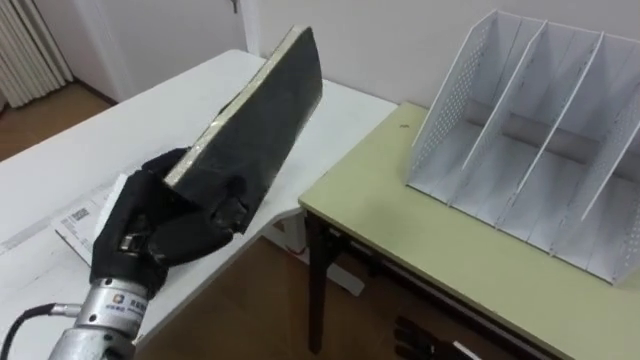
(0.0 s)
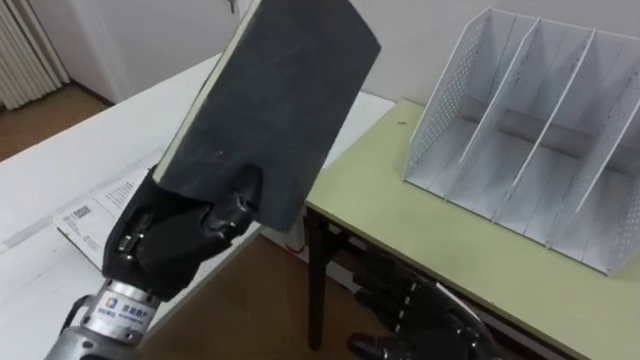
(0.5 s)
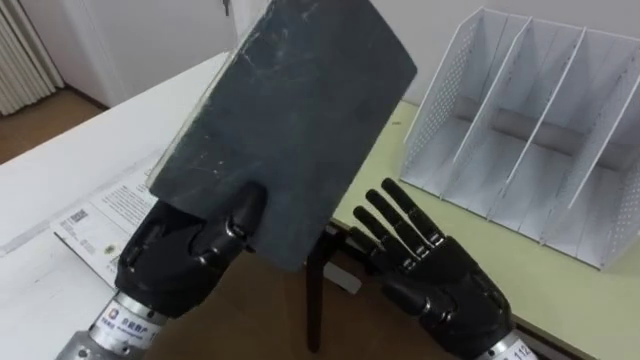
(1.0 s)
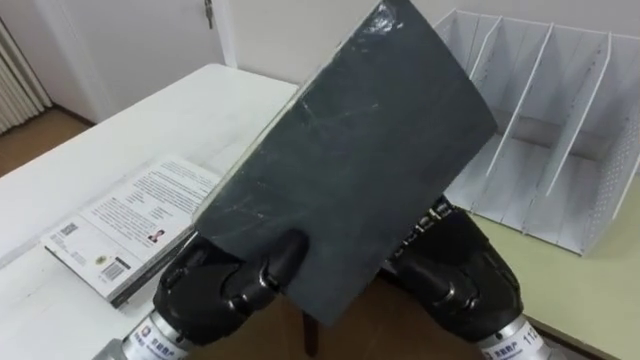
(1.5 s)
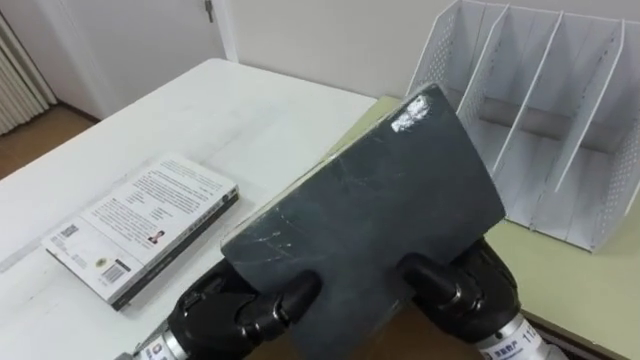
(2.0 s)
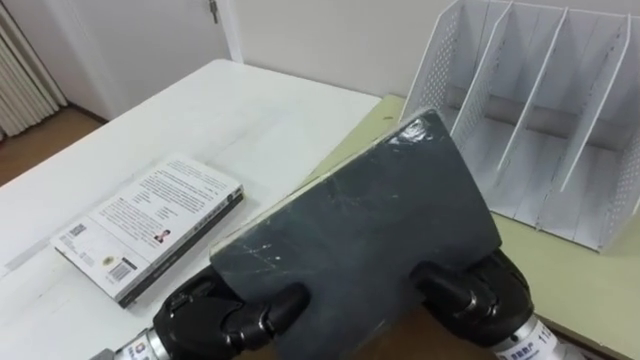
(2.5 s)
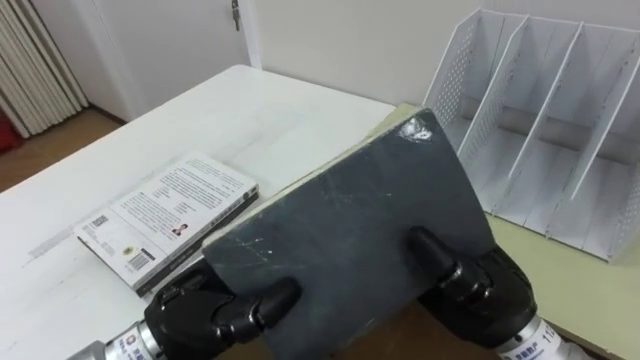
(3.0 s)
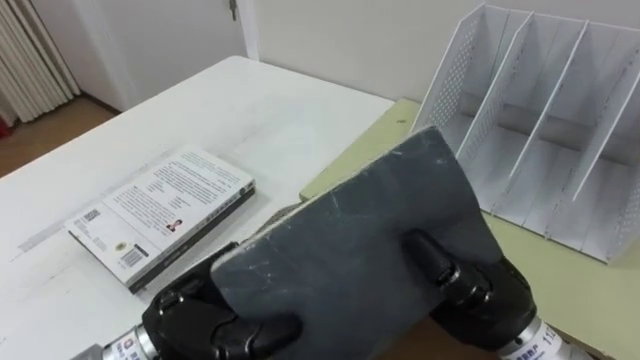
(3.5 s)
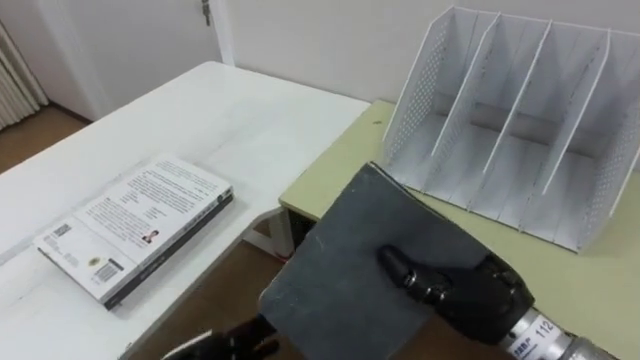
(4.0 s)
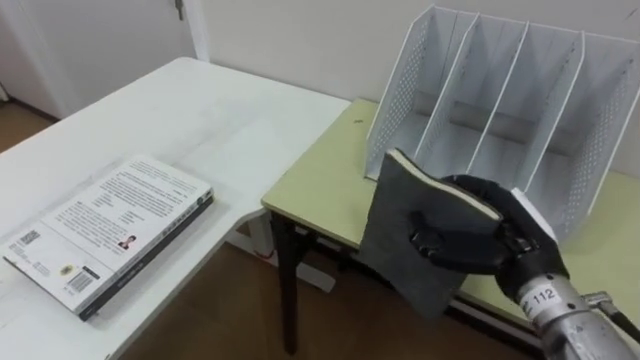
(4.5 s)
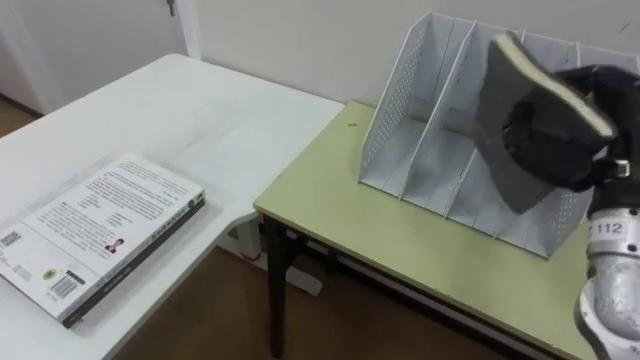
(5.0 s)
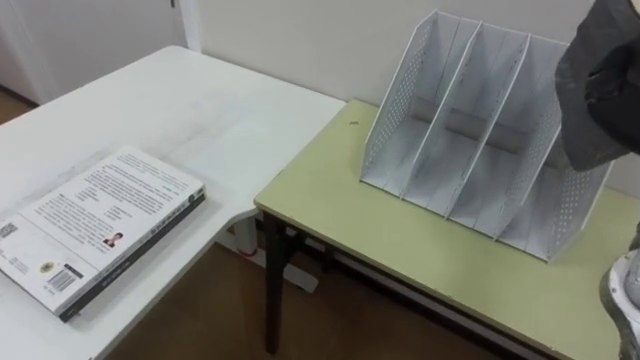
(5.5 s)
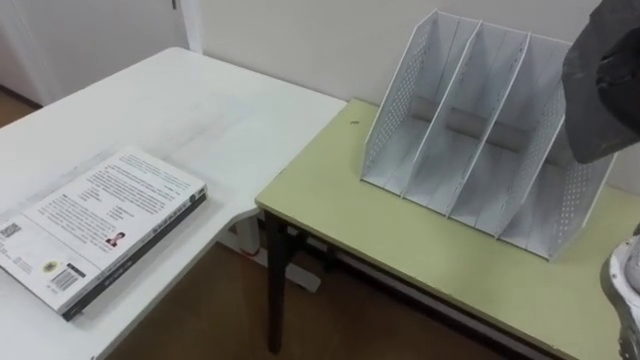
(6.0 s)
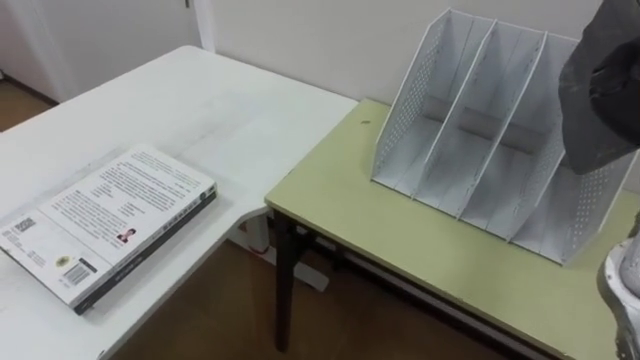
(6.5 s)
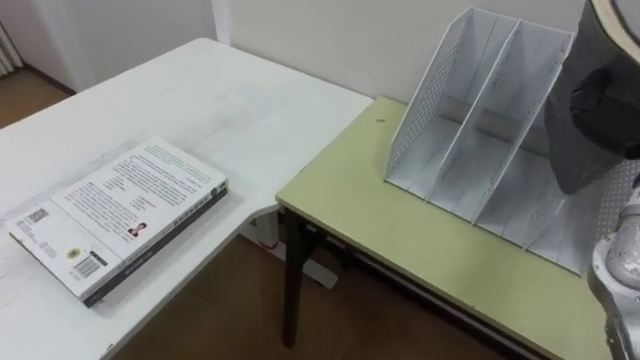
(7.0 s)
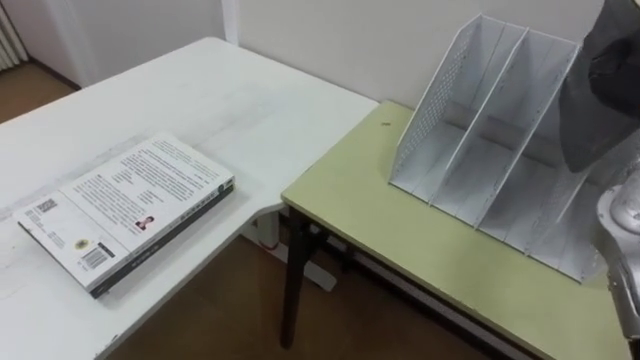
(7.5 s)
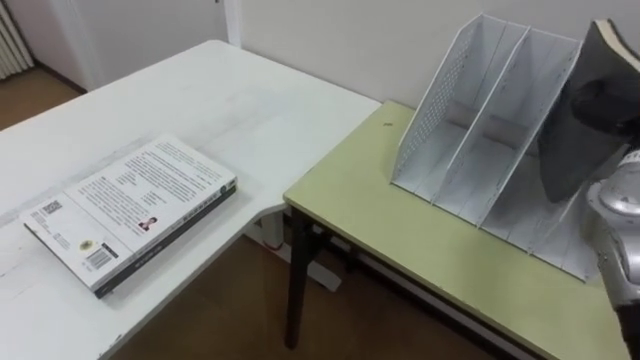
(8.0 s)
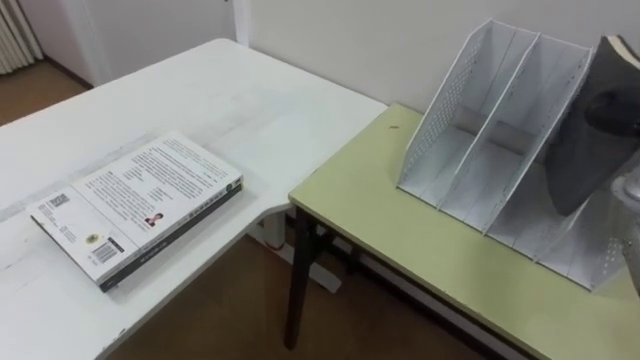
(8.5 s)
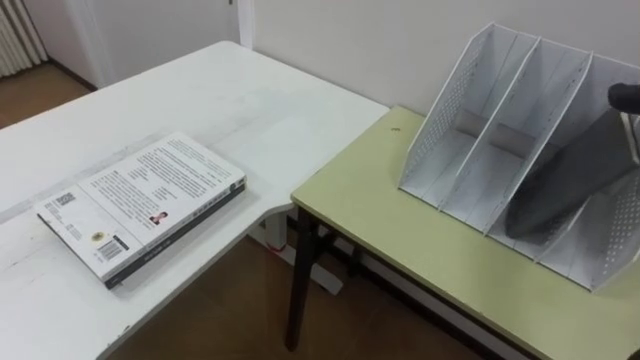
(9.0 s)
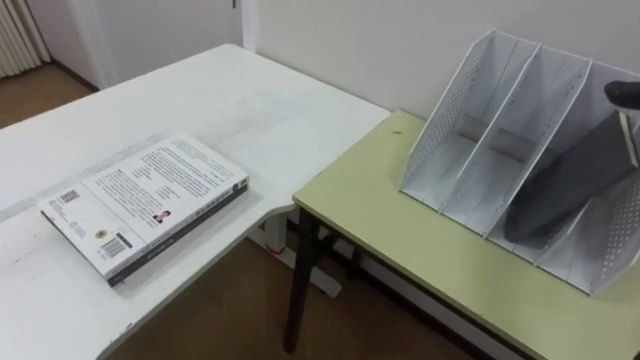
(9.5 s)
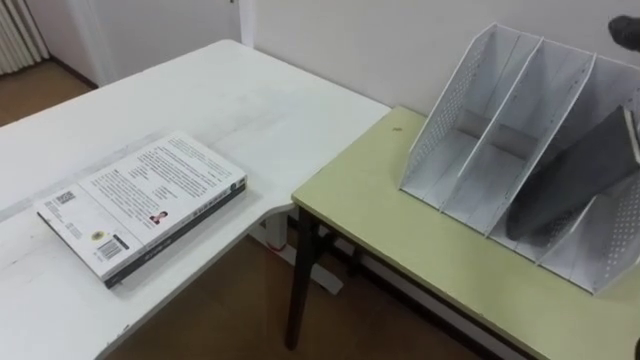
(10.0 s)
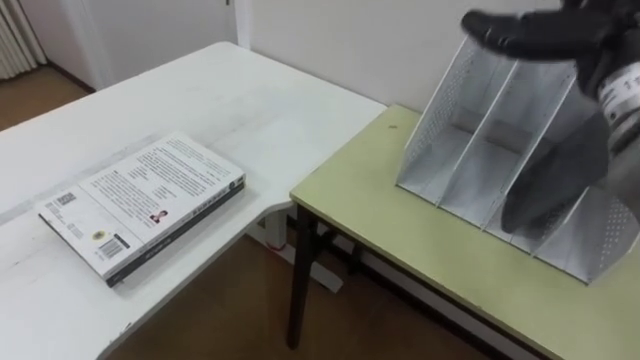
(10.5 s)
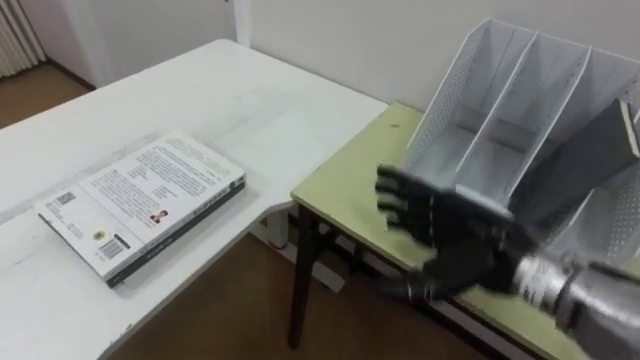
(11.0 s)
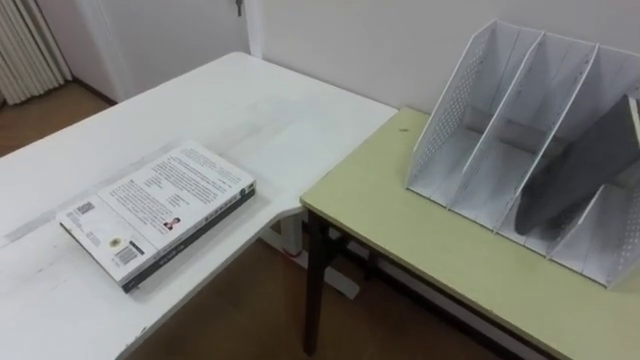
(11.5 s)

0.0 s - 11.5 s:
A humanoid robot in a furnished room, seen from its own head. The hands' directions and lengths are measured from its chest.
Task of the whole recording: Put the books on the table onto the bookshelf.
0.0 s - 2.0 s: The left hand goes some 10 cm to the right.
2.0 s - 4.0 s: The right hand closes up.

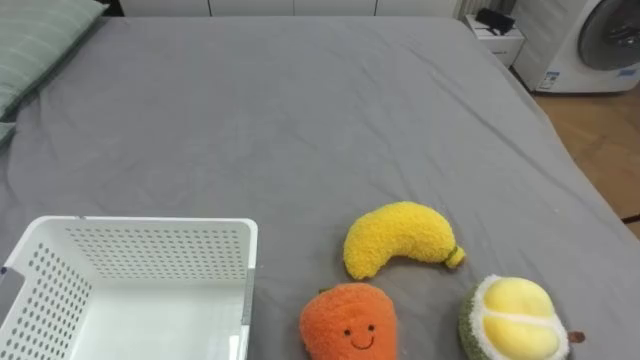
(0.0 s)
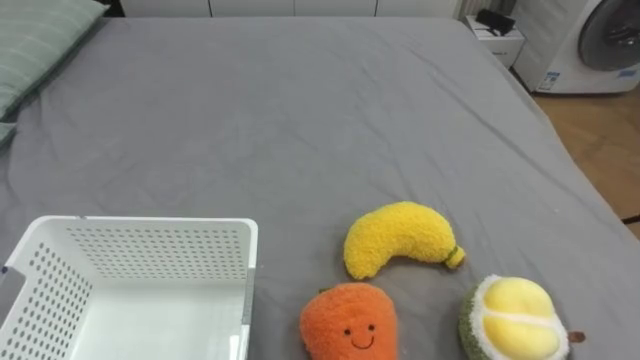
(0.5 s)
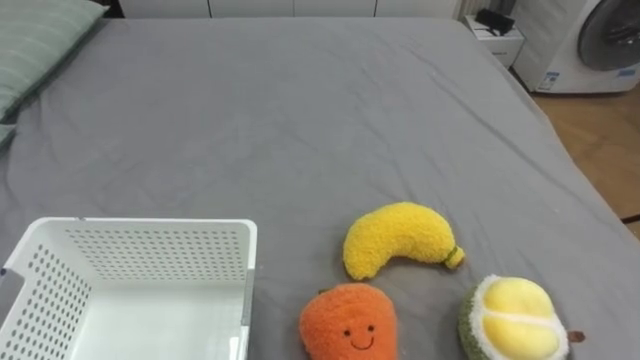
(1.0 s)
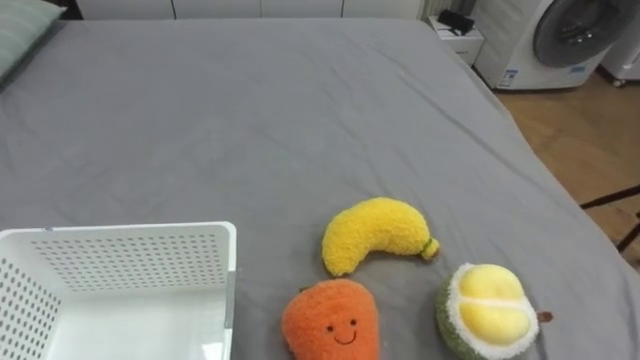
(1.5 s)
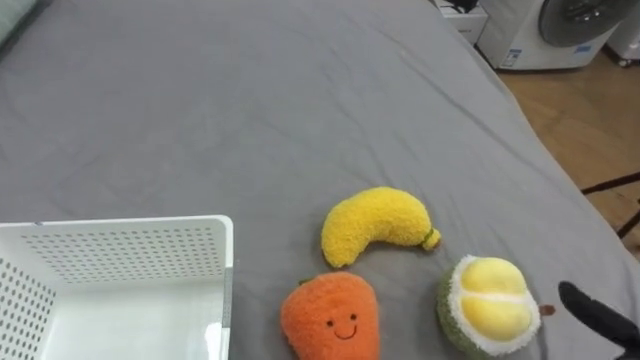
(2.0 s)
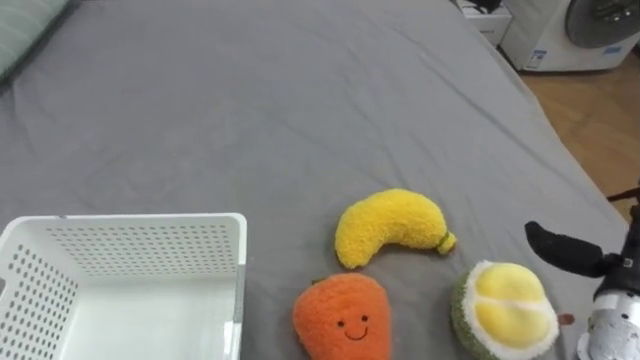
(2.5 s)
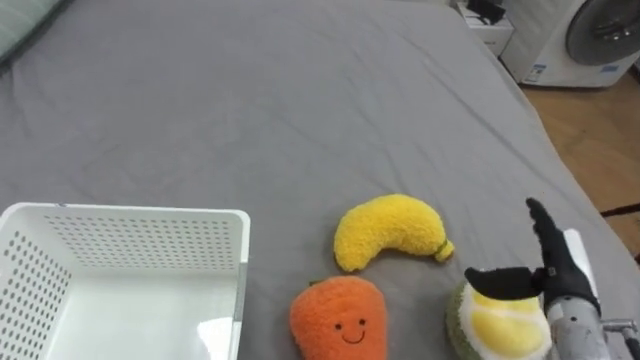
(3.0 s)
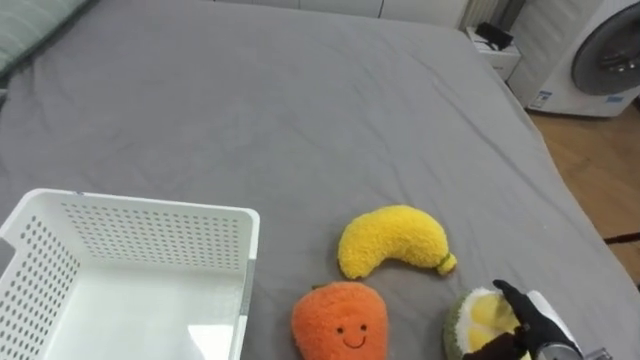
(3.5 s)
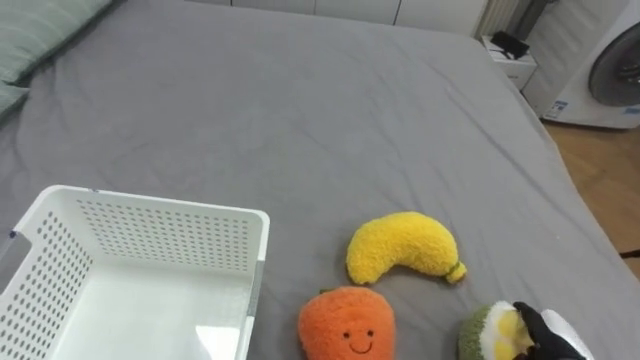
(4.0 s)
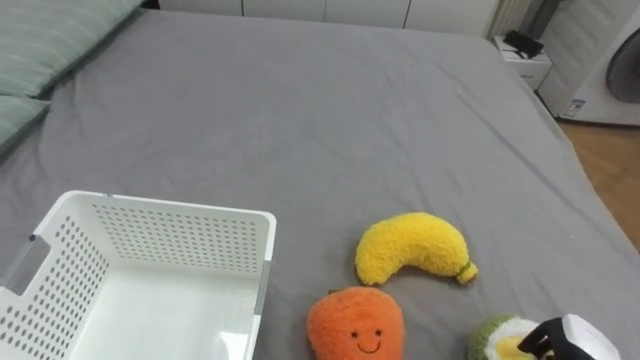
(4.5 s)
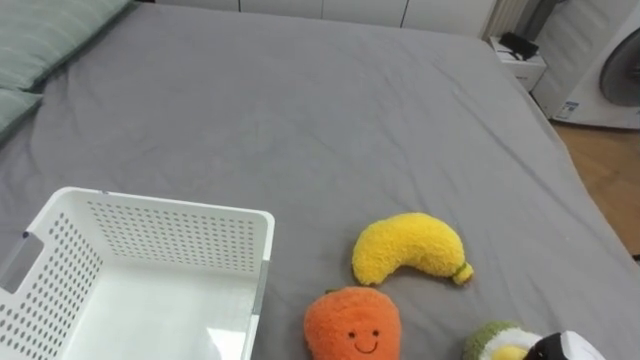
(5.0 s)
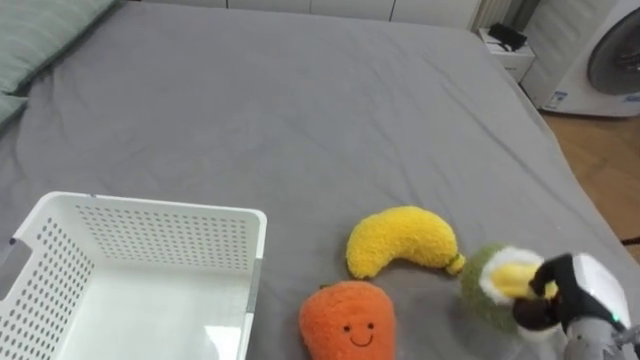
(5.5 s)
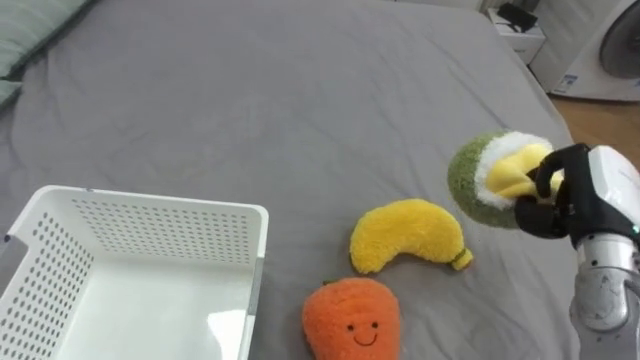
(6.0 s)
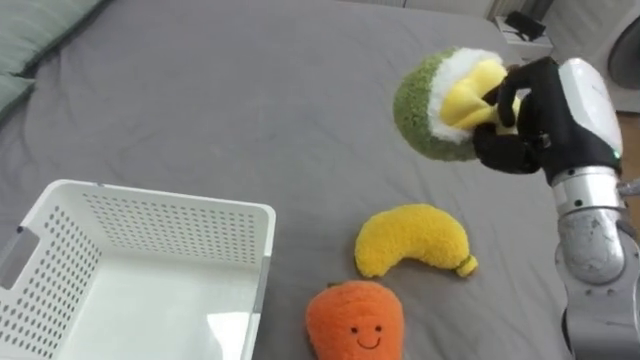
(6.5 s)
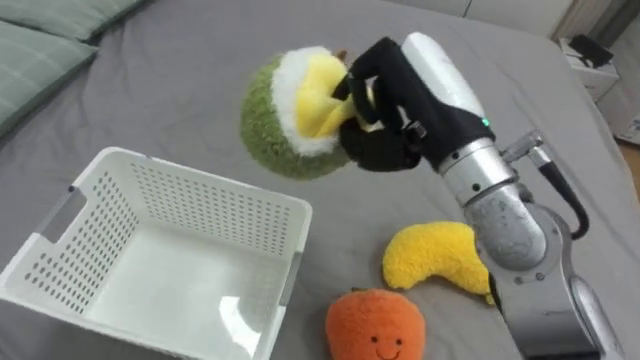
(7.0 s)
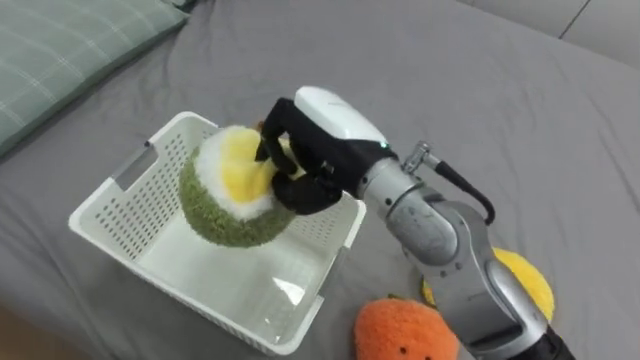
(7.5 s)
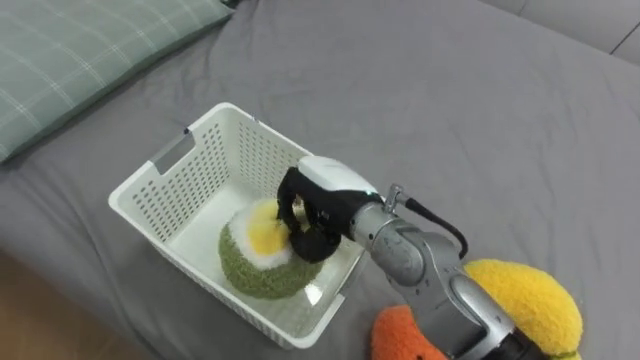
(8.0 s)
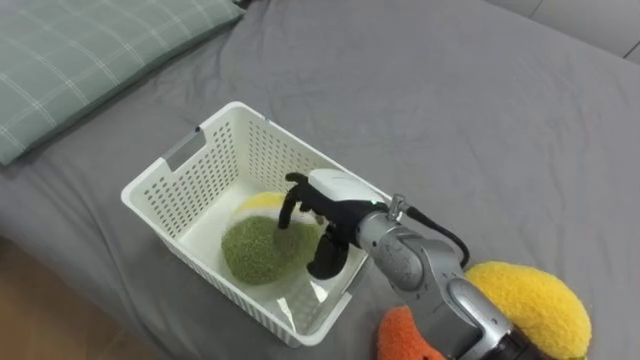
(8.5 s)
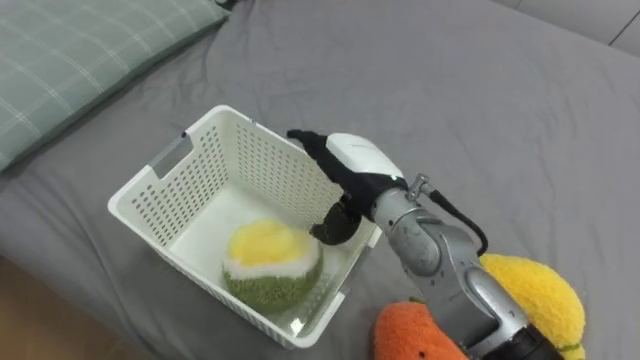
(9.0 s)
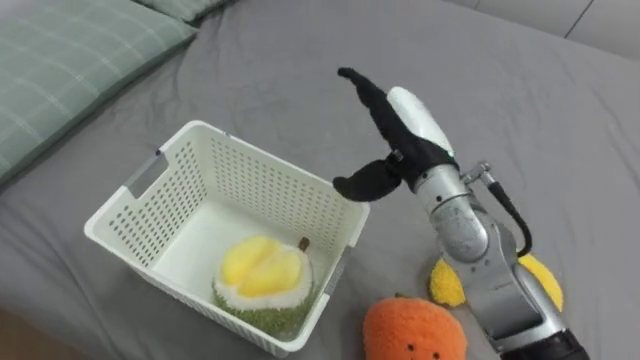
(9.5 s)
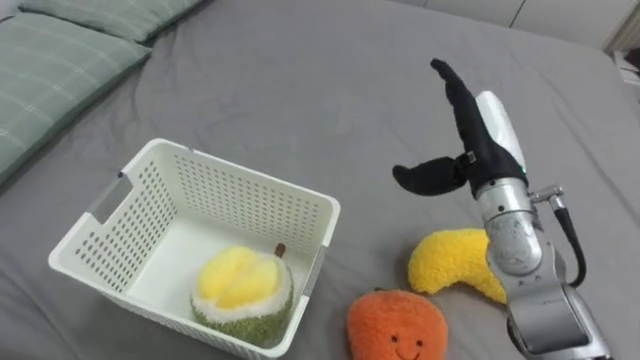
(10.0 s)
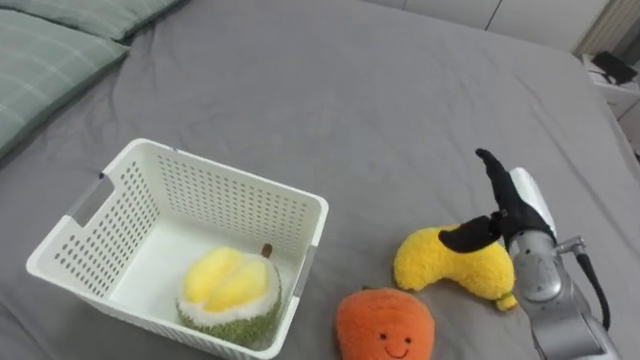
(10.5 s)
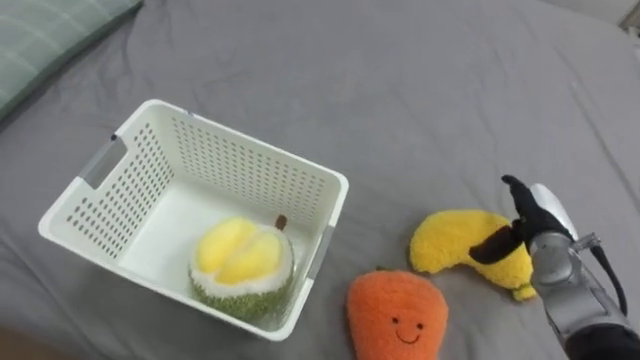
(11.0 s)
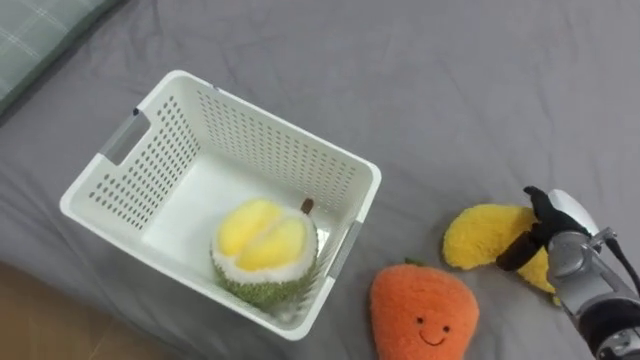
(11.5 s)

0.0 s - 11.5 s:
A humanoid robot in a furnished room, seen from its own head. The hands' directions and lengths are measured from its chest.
Task of the whole recording: Put the toys on the bed into the basket on the left.
6.0 s - 7.5 s: The right hand goes roughly 30 cm to the left.
7.5 s - 9.5 s: The right hand travels to the right by some 10 cm, and opens its fingers.
9.5 s - 11.5 s: The right hand moves to the right and downward, approximately 30 cm.
